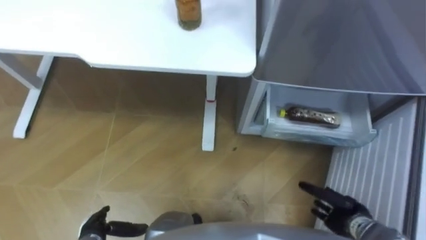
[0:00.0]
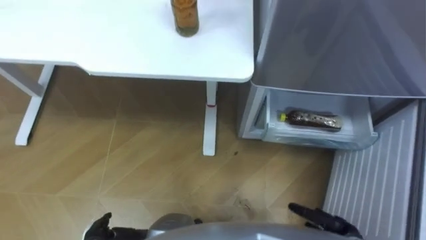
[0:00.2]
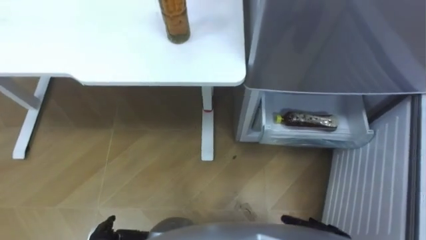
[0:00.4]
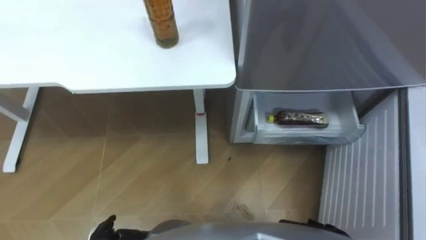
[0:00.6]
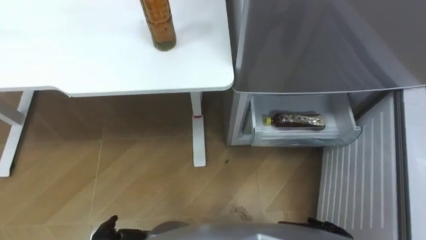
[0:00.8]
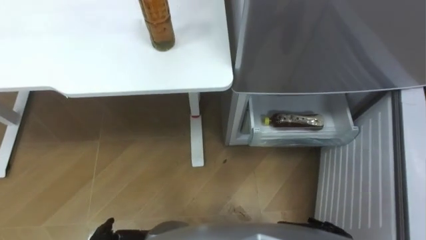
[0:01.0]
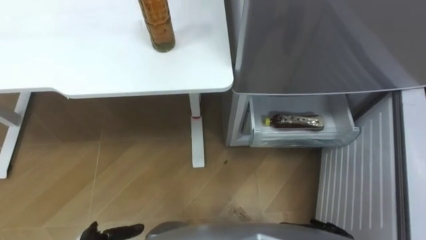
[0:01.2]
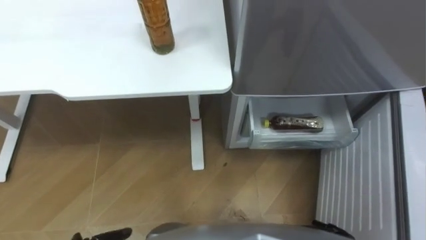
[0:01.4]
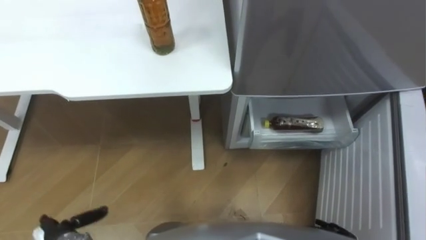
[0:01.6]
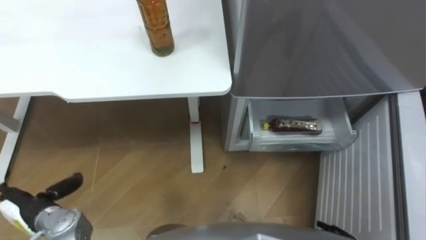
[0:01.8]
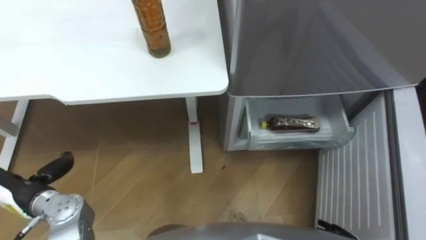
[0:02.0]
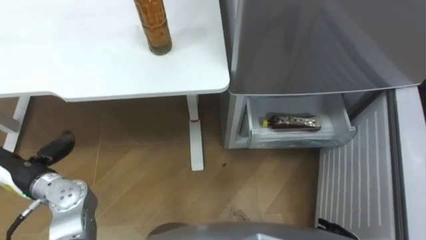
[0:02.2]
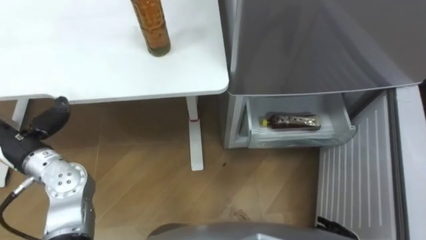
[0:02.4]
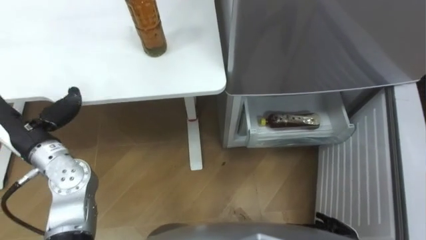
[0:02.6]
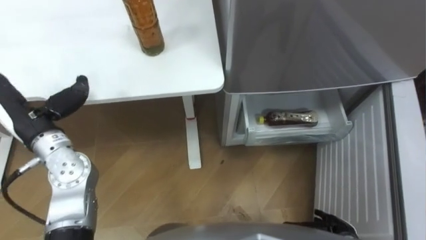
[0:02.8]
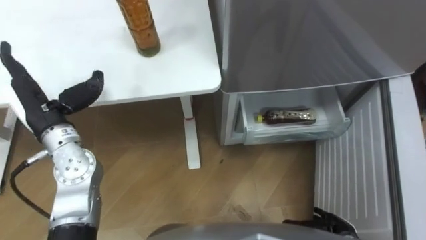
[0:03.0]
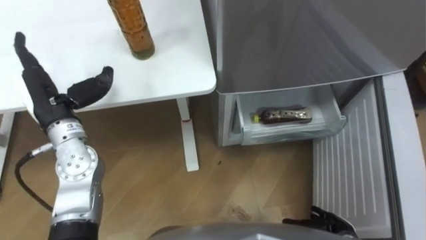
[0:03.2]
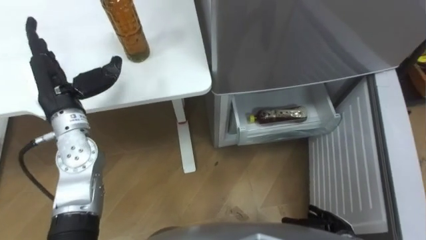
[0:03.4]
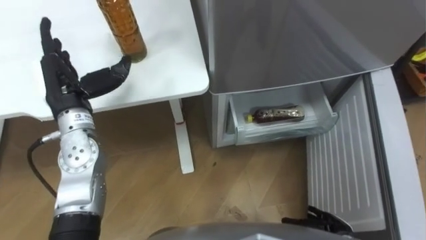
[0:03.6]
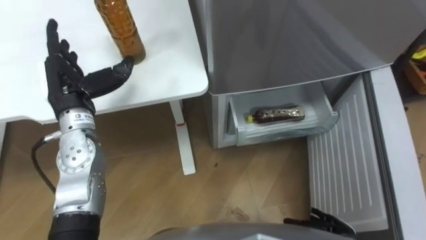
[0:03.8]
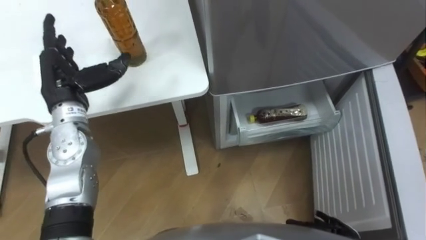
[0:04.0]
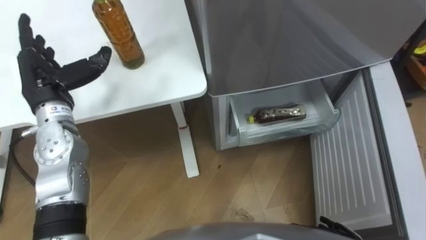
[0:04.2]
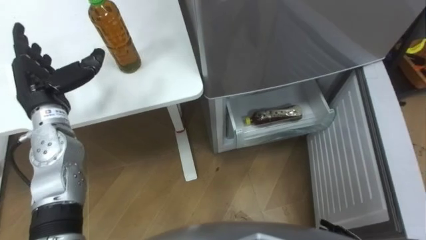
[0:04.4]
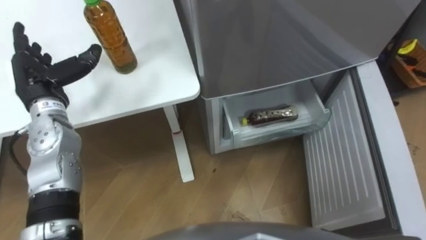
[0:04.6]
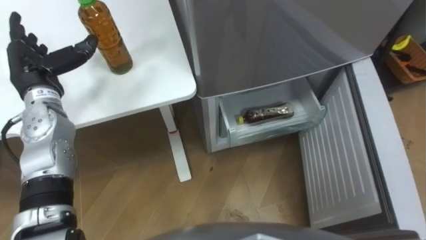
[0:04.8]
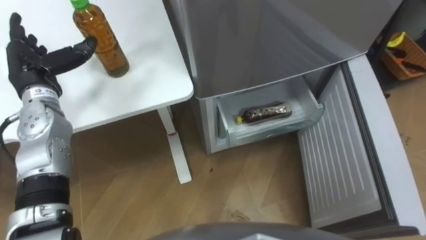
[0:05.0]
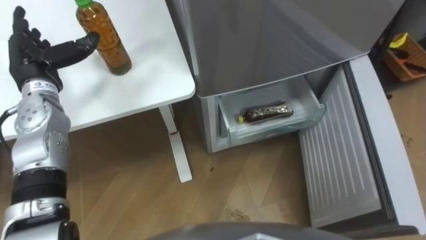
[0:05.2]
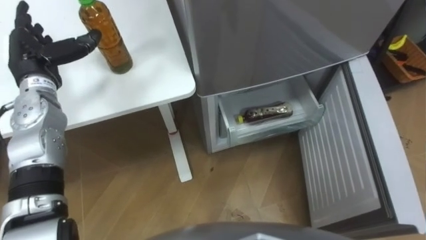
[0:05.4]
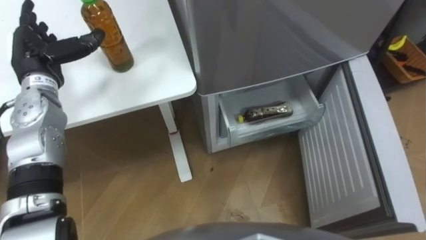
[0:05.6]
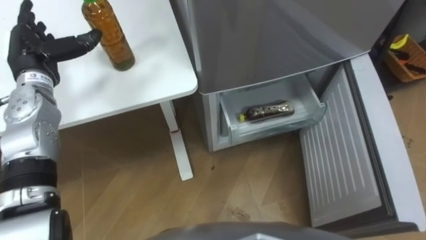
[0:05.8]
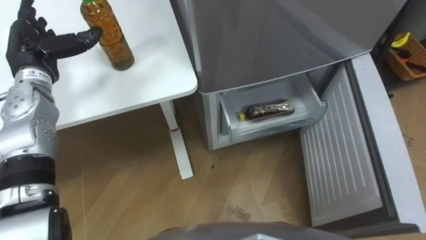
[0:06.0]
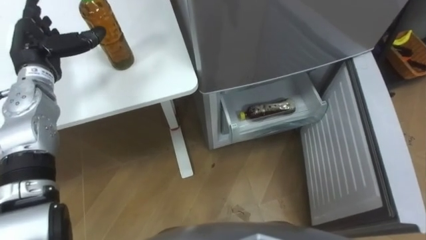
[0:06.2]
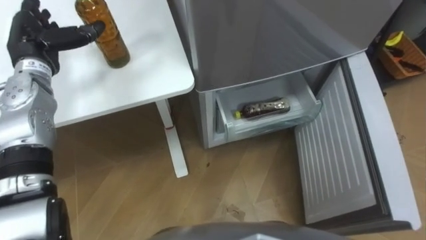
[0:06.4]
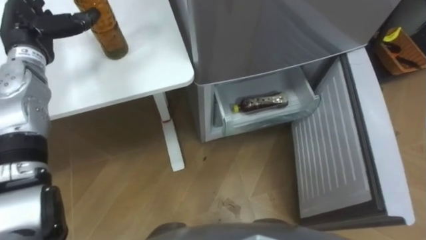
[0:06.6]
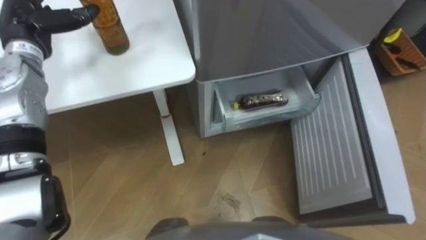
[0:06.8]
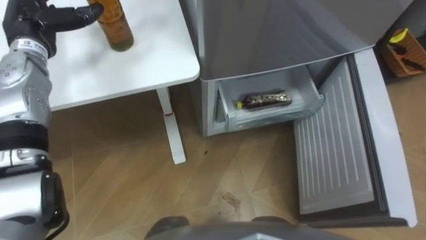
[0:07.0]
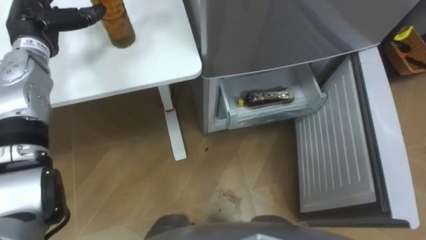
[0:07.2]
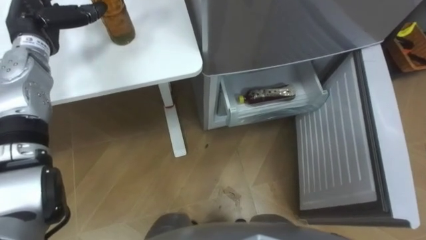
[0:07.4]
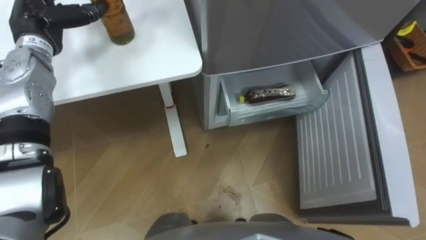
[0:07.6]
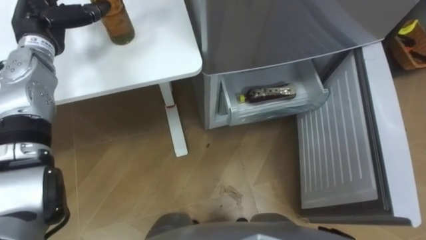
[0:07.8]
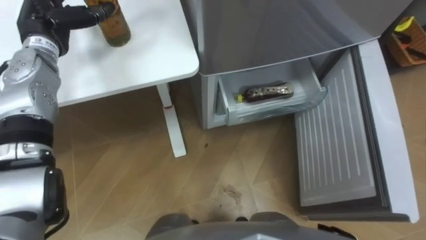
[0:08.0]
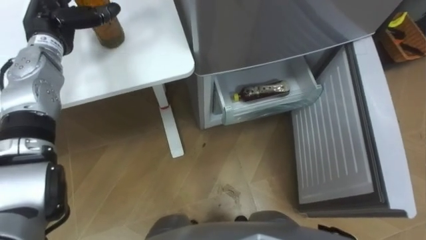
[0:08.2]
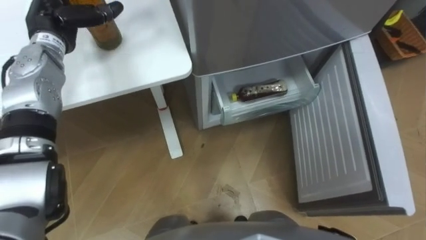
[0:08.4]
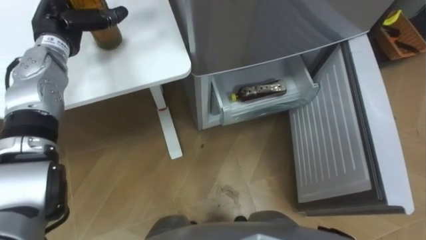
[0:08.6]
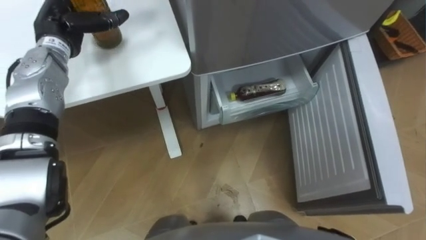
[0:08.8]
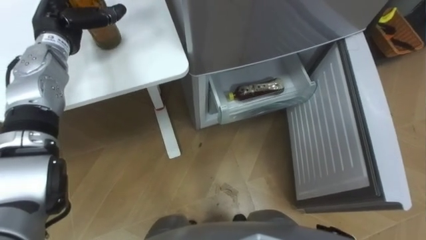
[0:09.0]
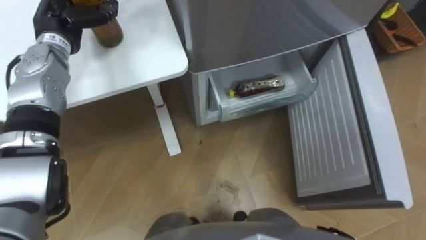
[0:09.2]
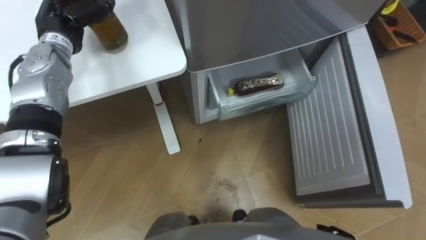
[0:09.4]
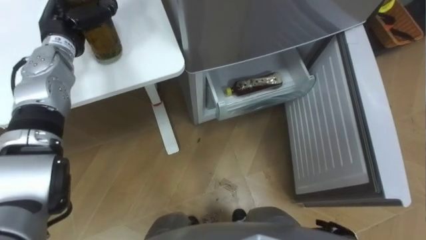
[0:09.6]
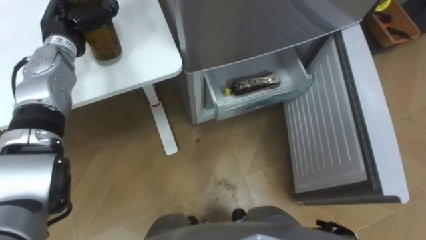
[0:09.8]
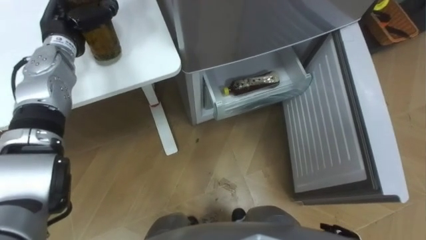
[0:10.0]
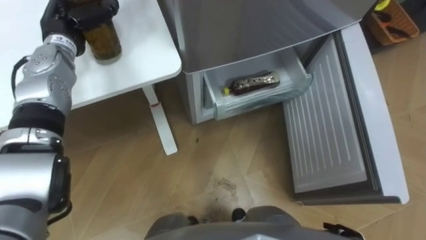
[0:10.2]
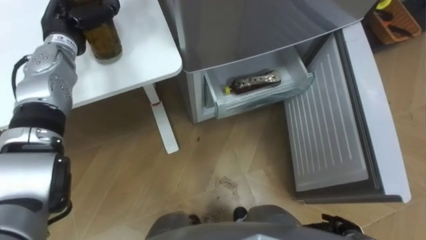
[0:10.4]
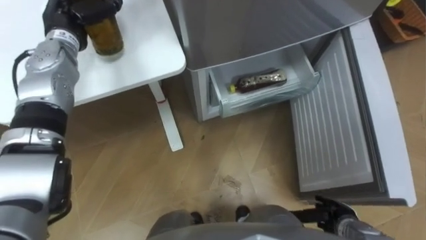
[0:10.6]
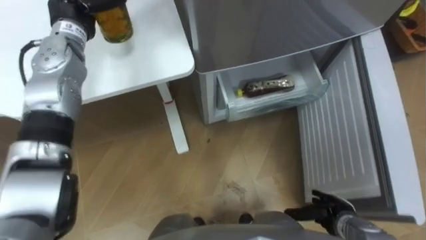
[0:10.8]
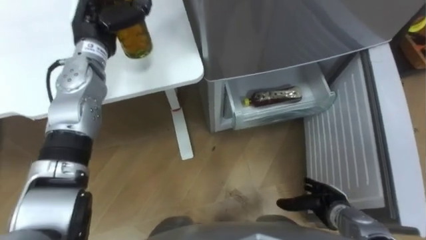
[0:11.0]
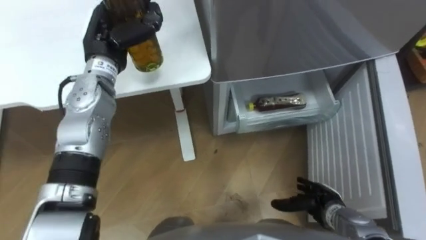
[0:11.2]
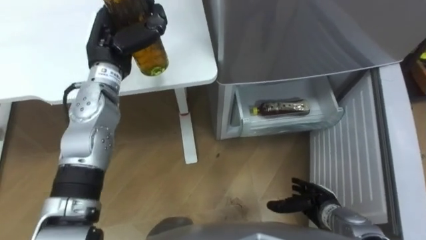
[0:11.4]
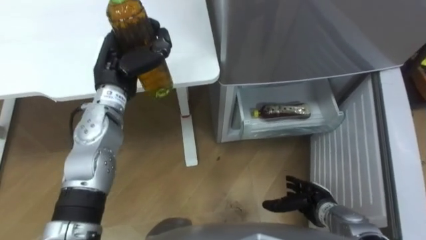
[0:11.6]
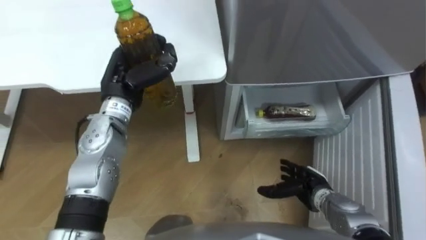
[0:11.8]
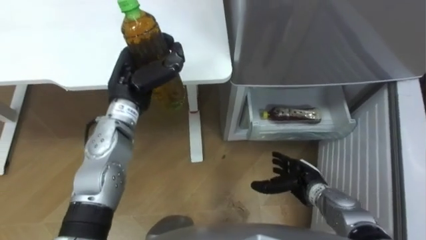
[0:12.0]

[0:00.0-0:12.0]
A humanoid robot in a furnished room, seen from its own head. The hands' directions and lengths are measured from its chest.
Task of the whole recording: Place the drink on the table on the bottom shelf of the refrigerator, then close the drawer and the refrigerator door.
0:04.4 to 0:06.0: The left hand is displaced forward by approximately 5 cm.
0:06.0 to 0:07.6: The left hand shifts by approximately 5 cm.
0:09.0 to 0:10.4: The left hand closes up.
0:10.4 to 0:12.0: The right hand is displaced forward and to the left by some 15 cm.

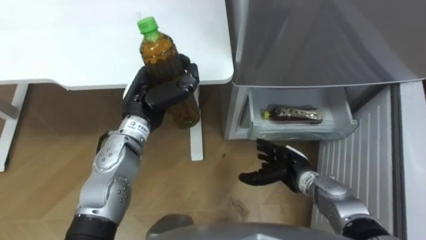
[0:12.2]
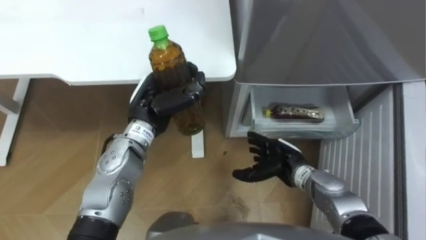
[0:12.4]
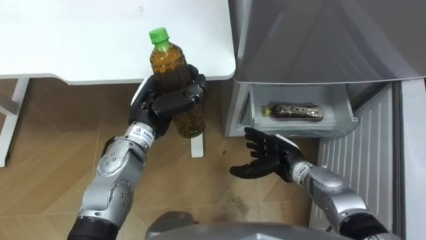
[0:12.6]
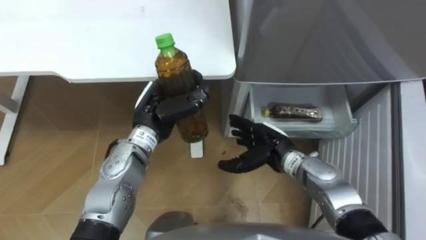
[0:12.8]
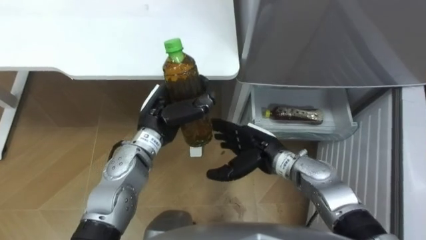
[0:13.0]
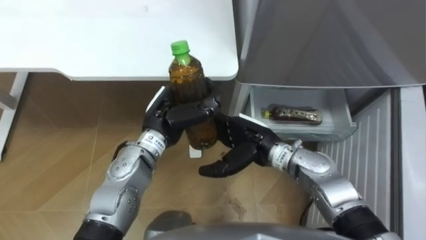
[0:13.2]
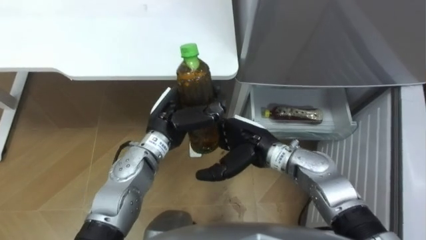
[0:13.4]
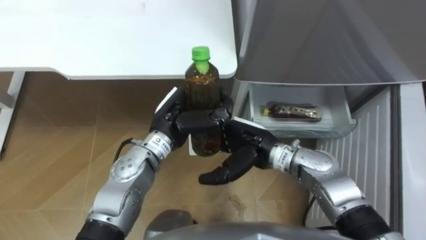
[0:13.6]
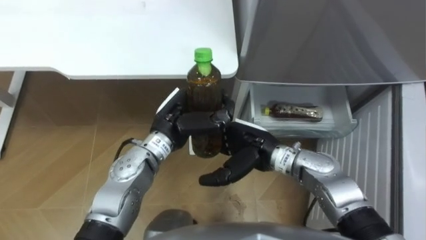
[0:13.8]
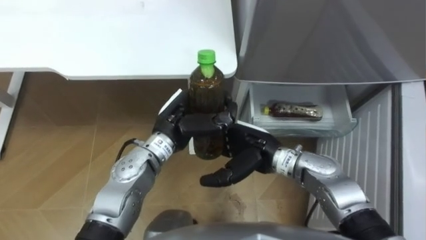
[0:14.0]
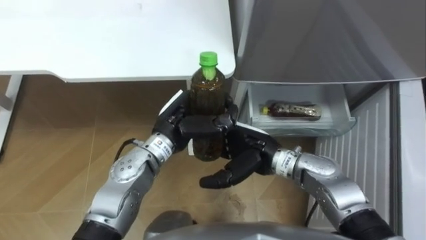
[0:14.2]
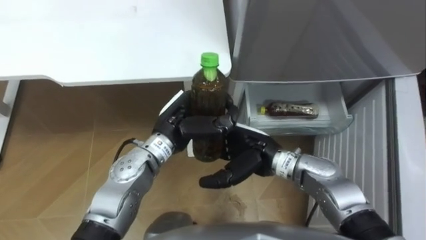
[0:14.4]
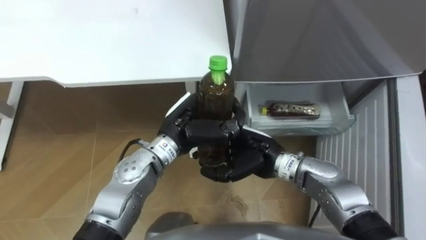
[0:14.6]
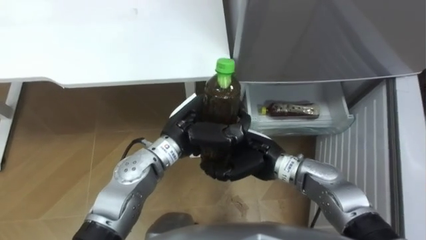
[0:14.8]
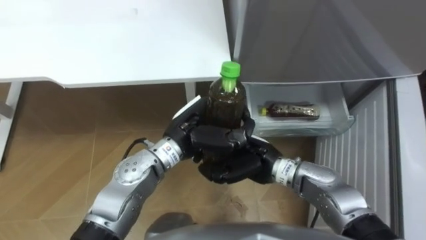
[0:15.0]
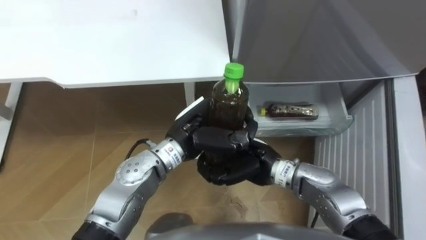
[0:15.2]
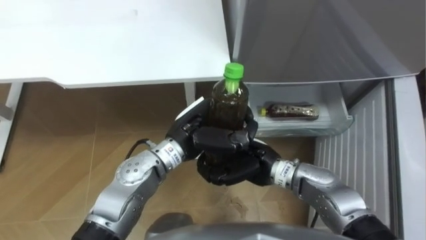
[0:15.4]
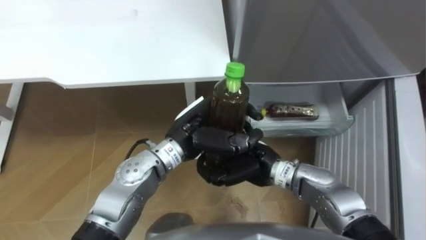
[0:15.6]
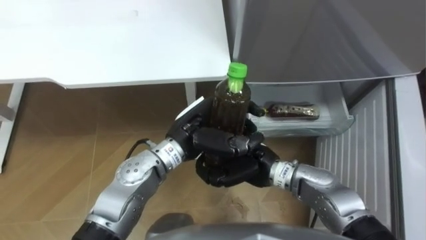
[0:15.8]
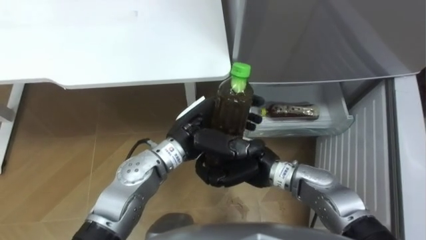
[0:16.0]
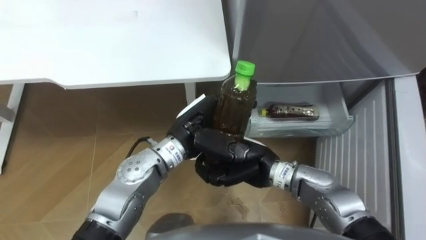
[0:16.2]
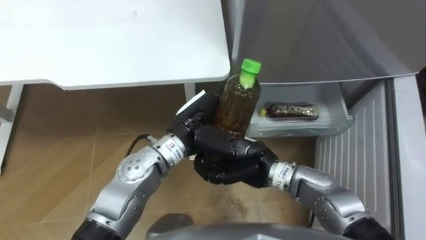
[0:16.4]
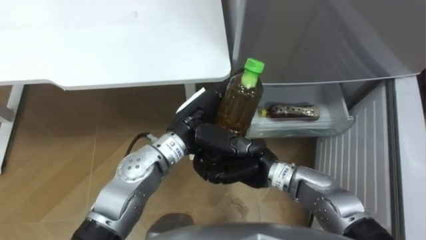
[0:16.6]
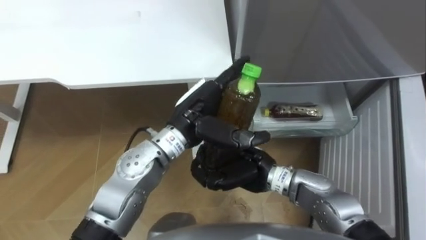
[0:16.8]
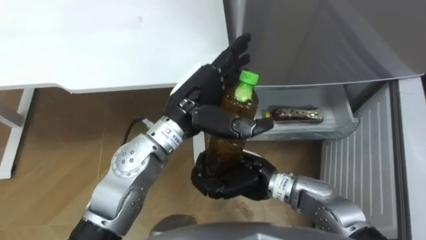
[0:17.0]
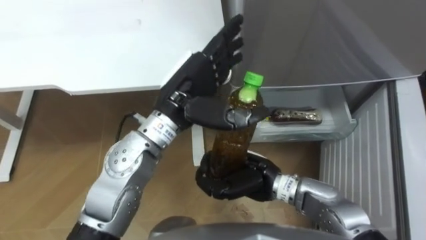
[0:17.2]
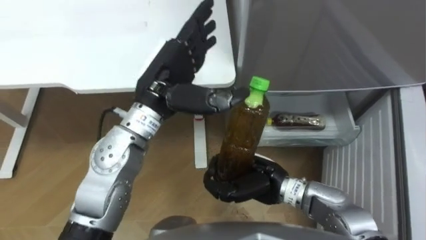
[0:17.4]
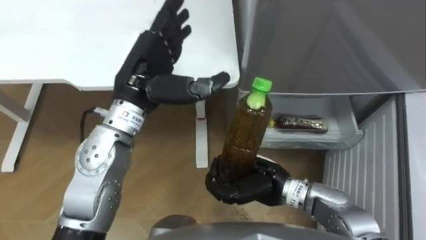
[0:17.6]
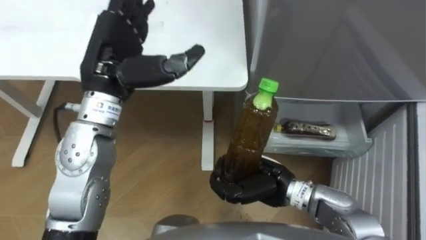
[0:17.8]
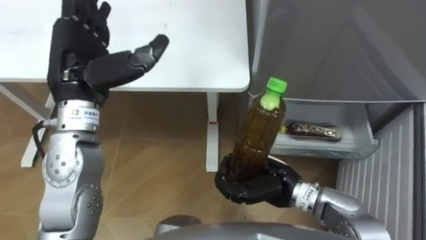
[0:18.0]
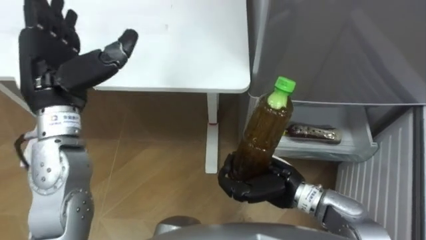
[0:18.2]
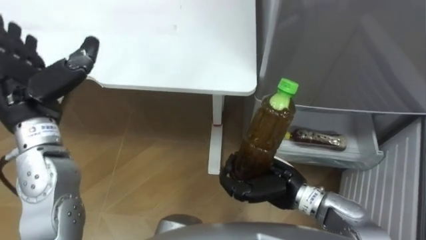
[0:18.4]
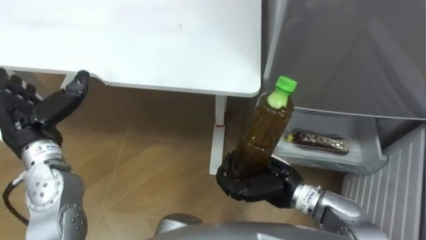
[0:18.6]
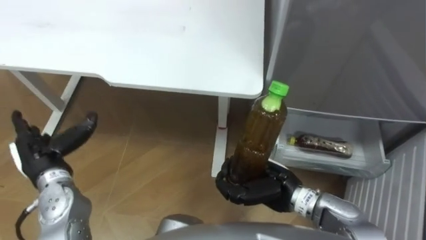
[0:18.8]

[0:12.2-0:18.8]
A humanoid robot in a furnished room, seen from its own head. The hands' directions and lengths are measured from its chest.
Task of the whole recording: Place the drink on the table on the bottom shelf of the refrigerator, then close the drawer and the refrigerator door.
0:12.2 to 0:13.8: The left hand goes roughly 5 cm to the right; the right hand goes approximately 15 cm upward and to the left.
0:13.8 to 0:15.4: The right hand closes.
0:15.4 to 0:17.2: The left hand heads upward, covering approximately 10 cm, and opens up.
0:17.2 to 0:18.8: The left hand heads to the left and downward, covering about 30 cm.
